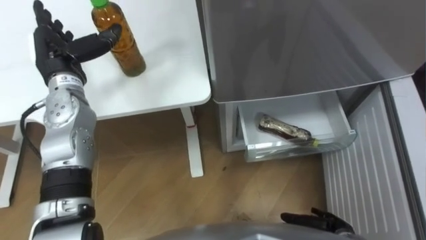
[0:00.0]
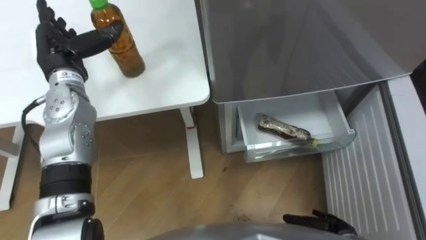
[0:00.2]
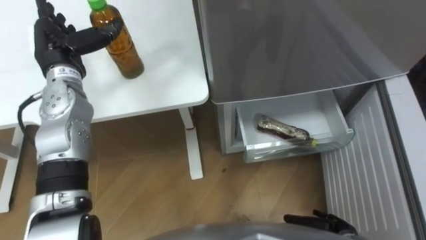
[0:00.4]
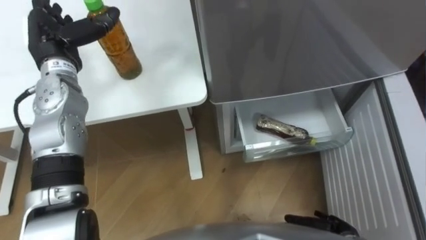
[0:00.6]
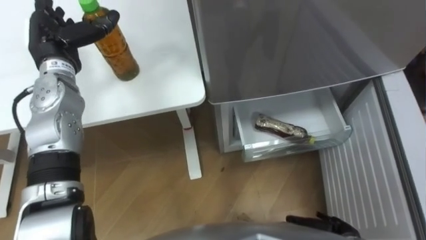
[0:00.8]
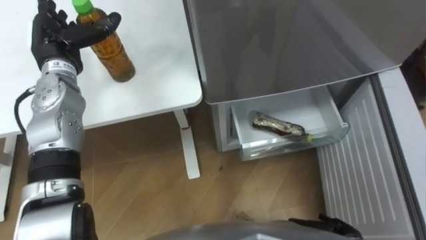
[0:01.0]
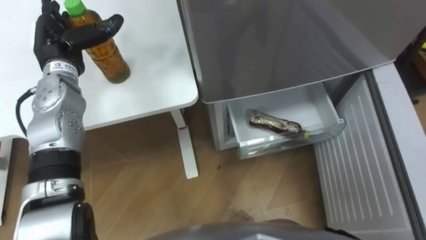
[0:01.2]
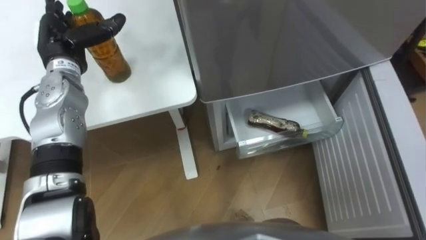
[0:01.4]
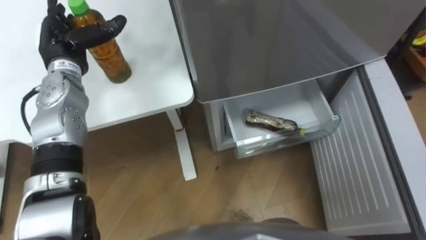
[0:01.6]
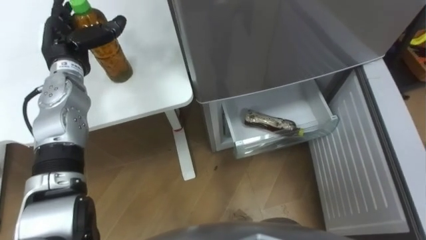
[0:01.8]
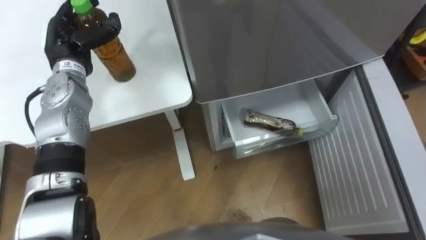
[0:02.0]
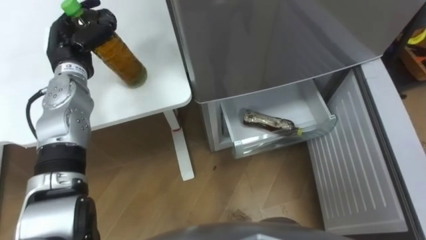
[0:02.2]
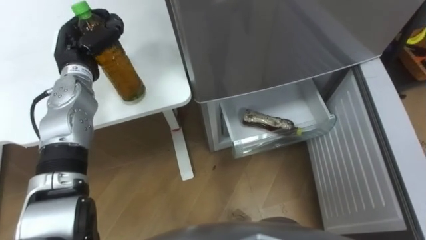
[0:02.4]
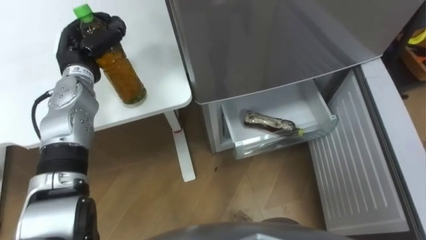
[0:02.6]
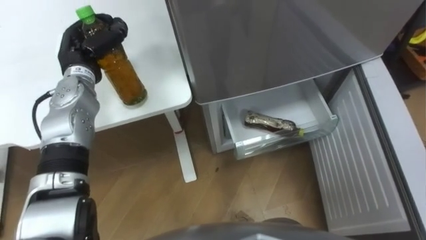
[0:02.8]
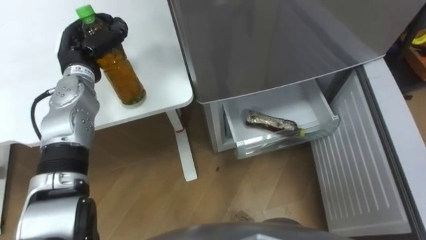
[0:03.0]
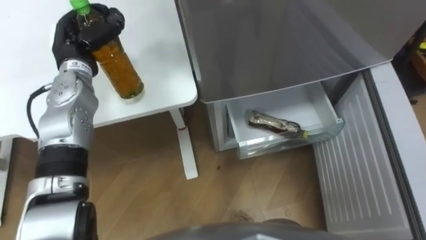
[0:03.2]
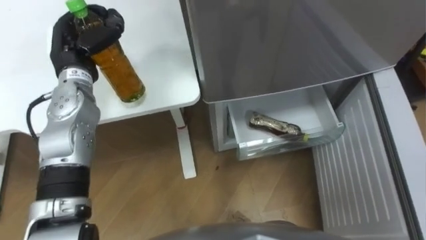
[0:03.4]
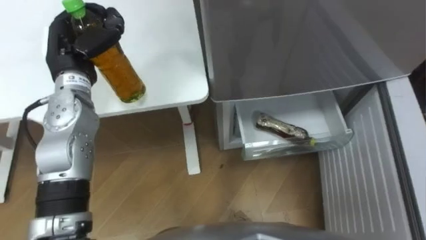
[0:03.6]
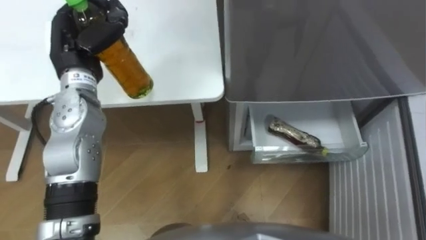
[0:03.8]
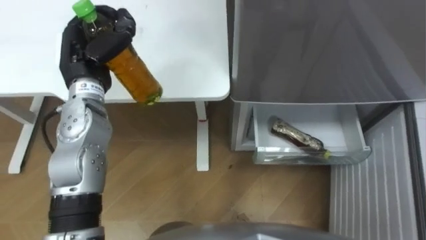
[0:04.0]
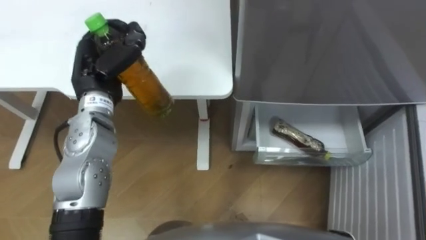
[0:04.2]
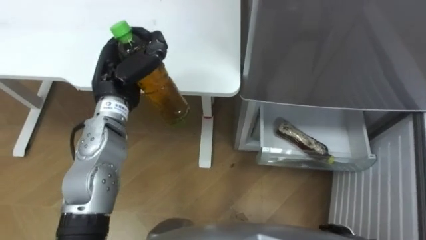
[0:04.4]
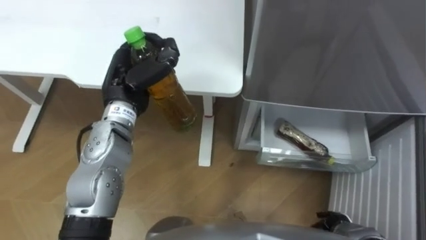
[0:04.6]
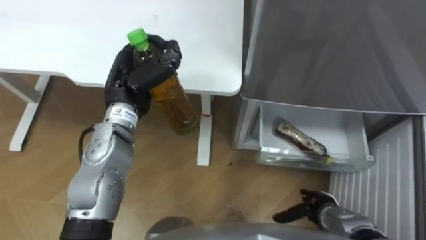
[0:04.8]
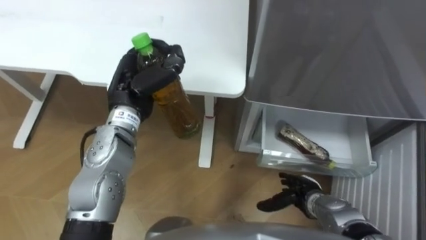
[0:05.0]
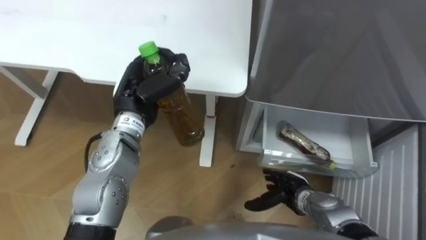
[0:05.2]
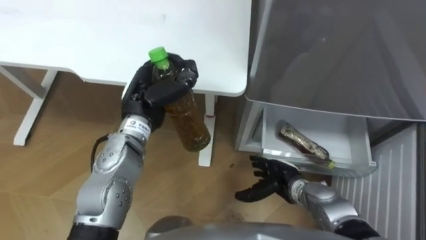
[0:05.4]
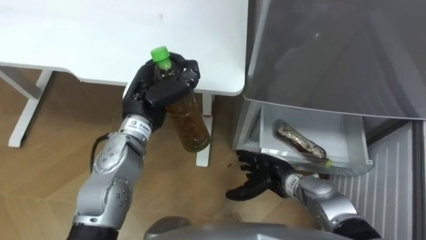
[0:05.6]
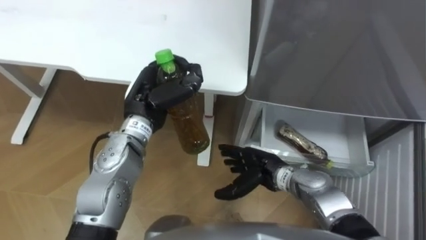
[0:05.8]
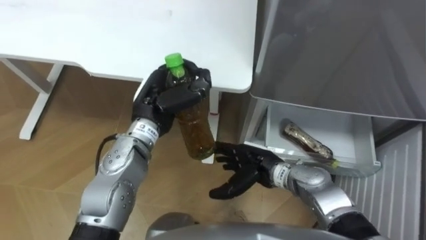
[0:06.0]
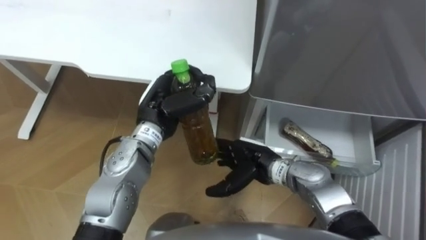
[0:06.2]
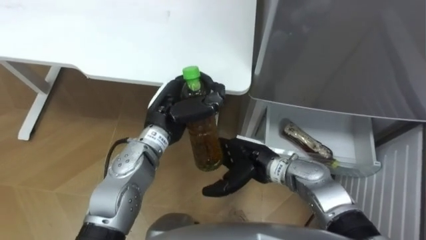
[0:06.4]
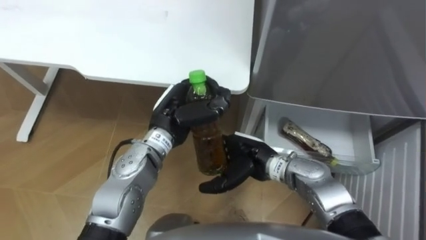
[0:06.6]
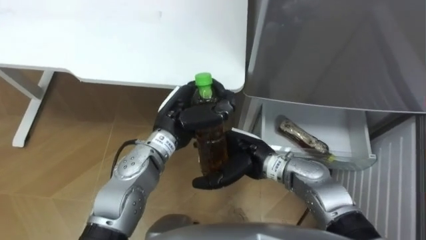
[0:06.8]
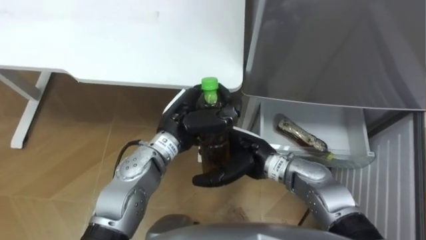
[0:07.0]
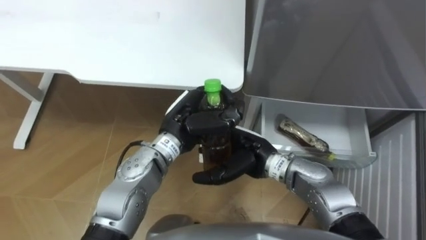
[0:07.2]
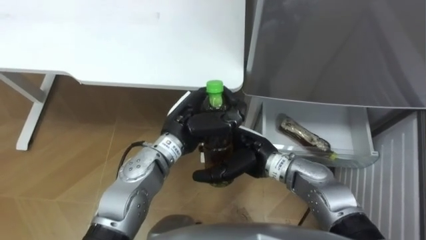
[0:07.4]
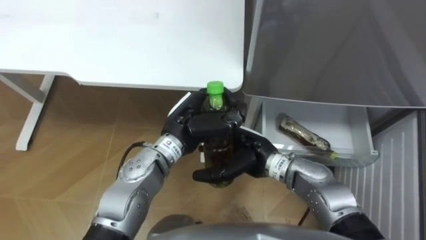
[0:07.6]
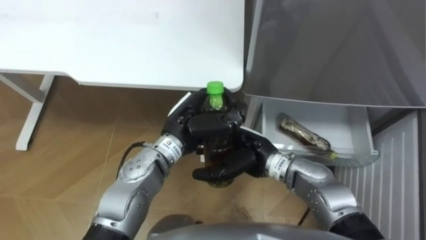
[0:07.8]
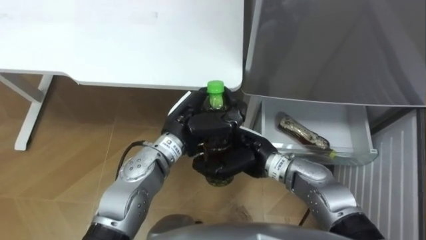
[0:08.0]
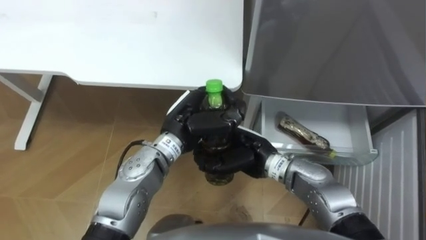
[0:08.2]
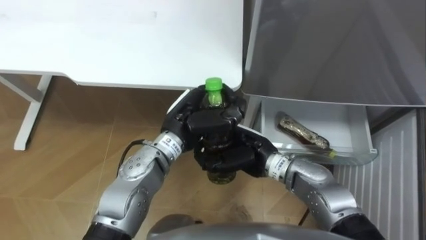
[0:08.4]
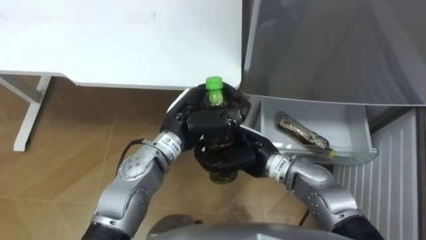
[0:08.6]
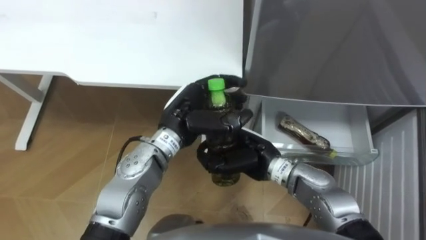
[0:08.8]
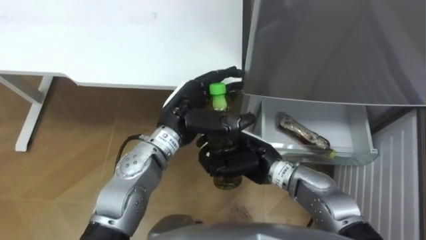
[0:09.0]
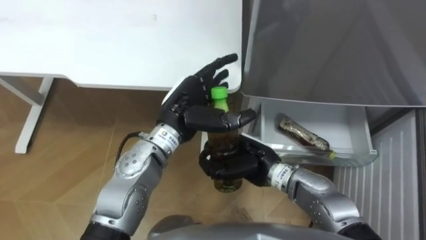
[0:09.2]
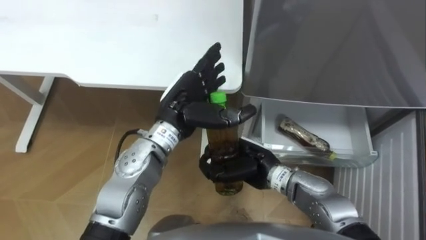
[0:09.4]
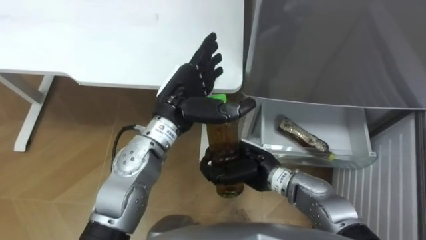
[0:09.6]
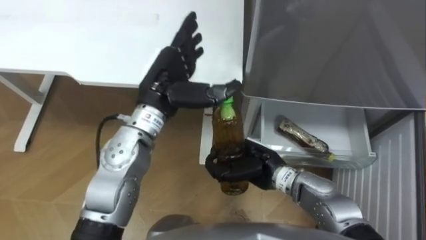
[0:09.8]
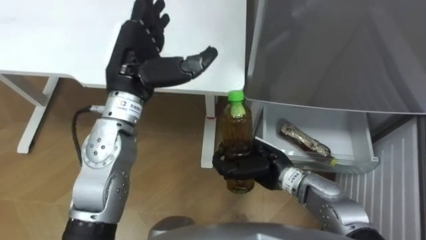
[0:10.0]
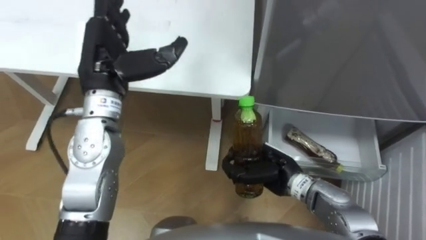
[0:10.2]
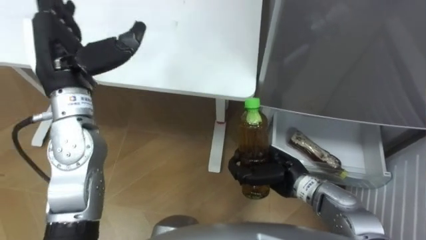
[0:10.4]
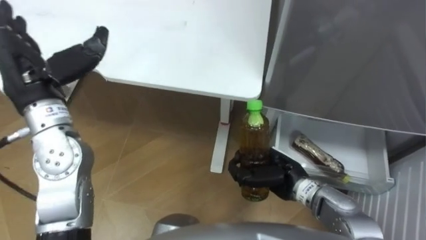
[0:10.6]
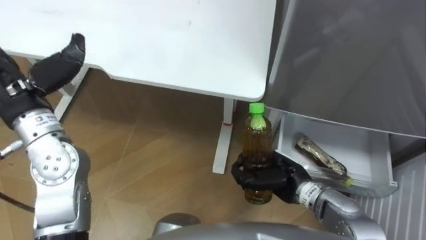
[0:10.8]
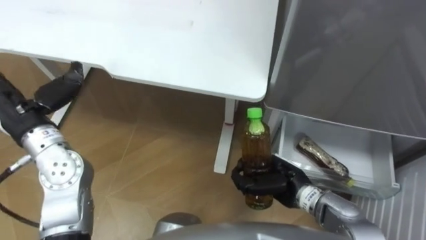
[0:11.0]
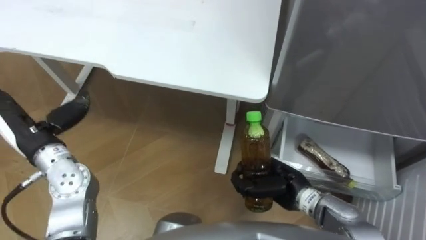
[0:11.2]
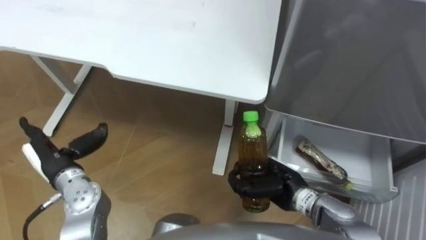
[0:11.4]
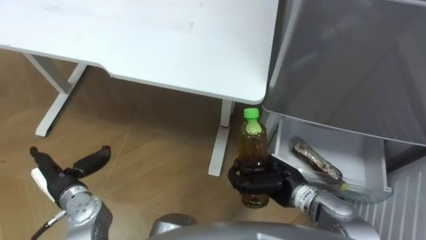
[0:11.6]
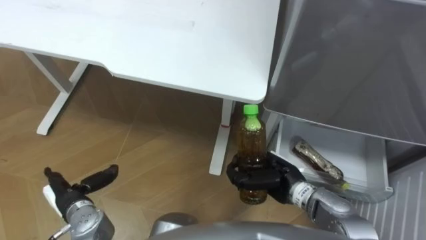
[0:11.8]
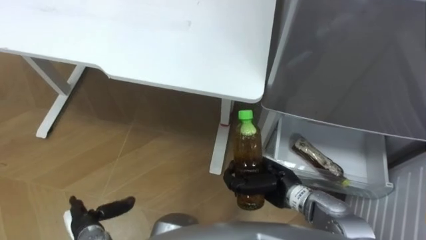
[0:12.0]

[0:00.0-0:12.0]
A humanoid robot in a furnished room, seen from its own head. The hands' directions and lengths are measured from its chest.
Task of the whole recording: Place the drink on the table on the bottom shelf of the refrigerator, then close the drawer and the refrigerator door.
0:01.6 to 0:03.0: The left hand closes.
0:03.0 to 0:04.4: The left hand goes roughly 10 cm to the right and backward.
0:04.4 to 0:06.0: The left hand heads to the right, covering some 5 cm. The right hand shifts approximately 25 cm to the left, forward and upward.
0:06.0 to 0:07.6: The left hand goes some 5 cm to the right. The right hand travels upward by roughly 5 cm.
0:07.6 to 0:09.0: The right hand closes, while the left hand opens up.
0:09.0 to 0:10.4: The right hand travels to the right by roughly 5 cm. The left hand goes about 20 cm to the left and upward.
0:10.4 to 0:12.0: The left hand shifts about 35 cm downward and backward.

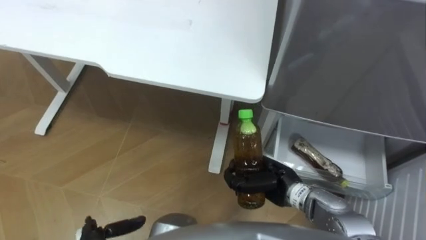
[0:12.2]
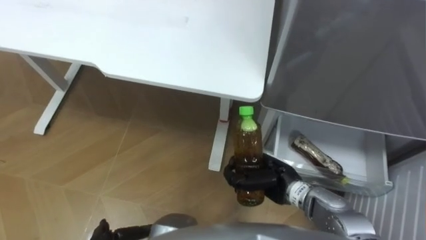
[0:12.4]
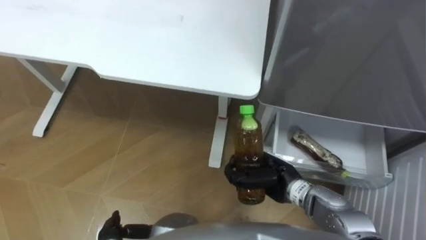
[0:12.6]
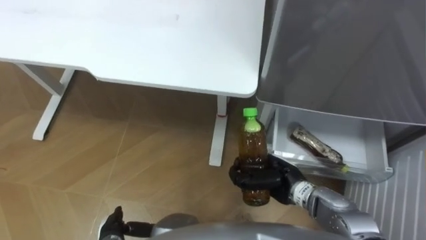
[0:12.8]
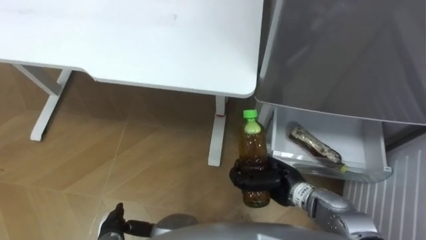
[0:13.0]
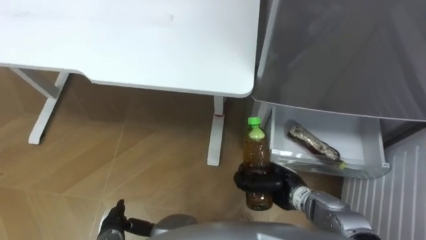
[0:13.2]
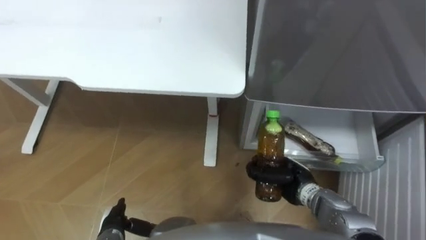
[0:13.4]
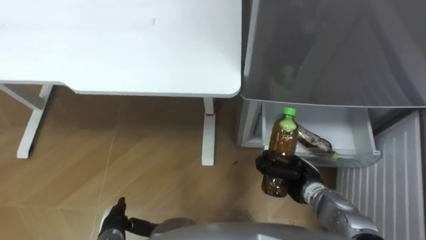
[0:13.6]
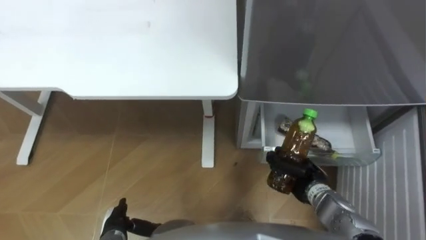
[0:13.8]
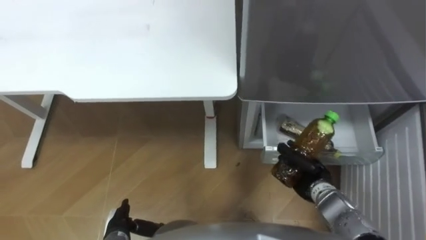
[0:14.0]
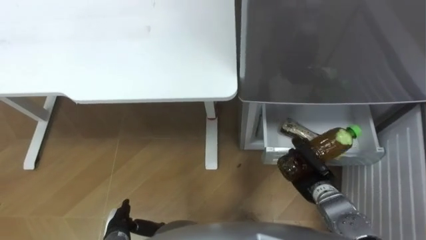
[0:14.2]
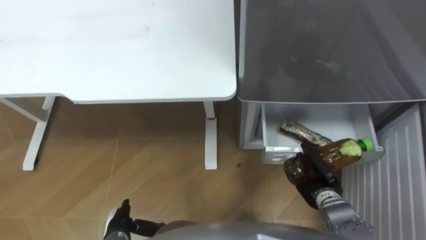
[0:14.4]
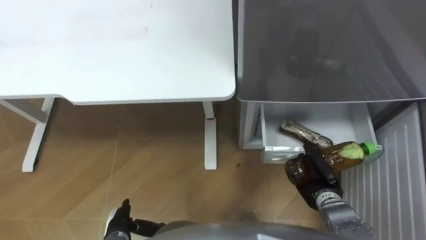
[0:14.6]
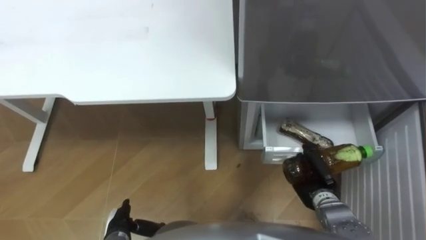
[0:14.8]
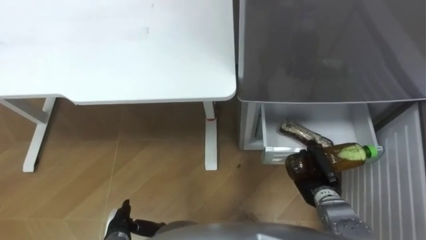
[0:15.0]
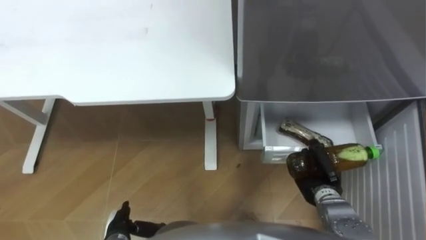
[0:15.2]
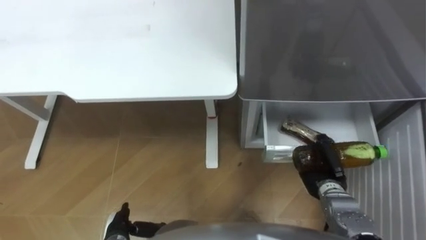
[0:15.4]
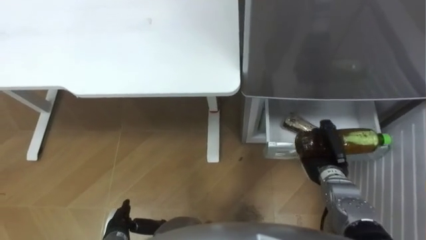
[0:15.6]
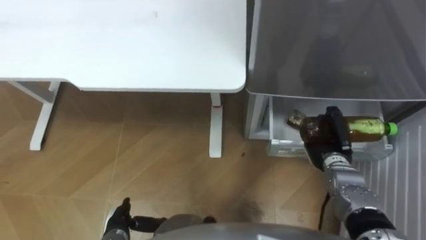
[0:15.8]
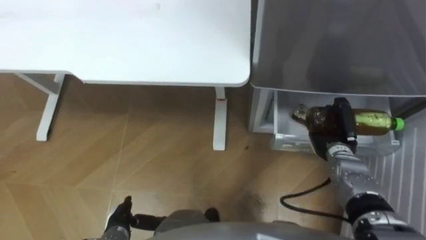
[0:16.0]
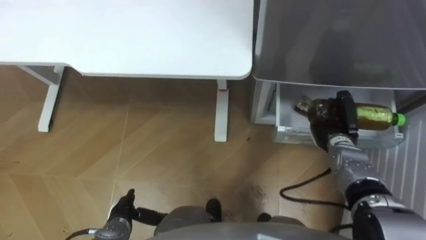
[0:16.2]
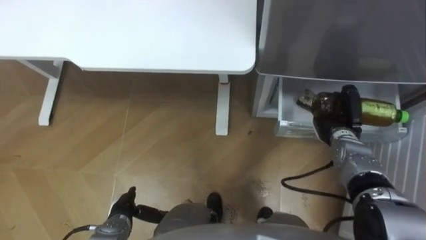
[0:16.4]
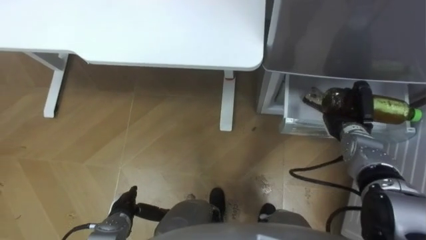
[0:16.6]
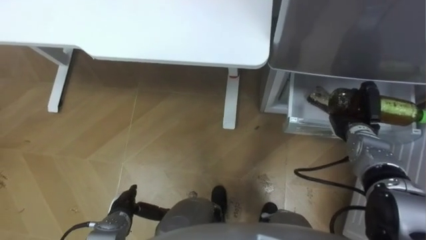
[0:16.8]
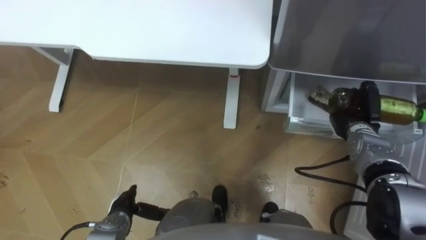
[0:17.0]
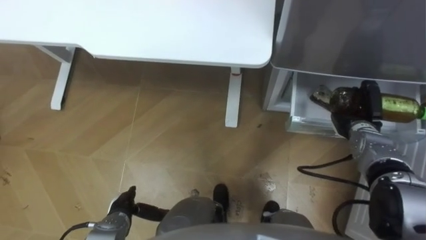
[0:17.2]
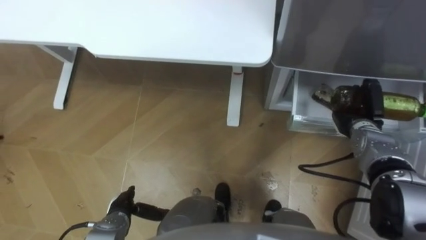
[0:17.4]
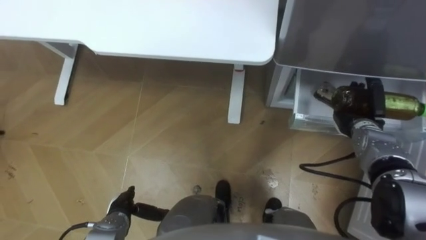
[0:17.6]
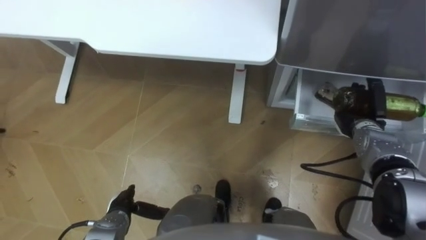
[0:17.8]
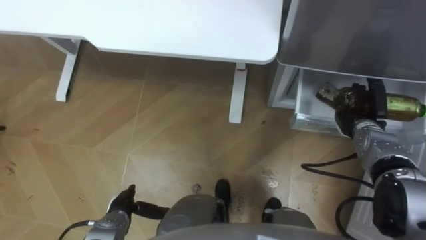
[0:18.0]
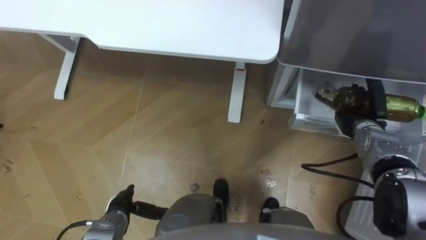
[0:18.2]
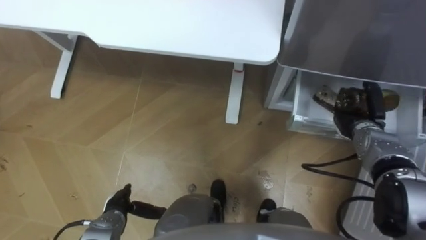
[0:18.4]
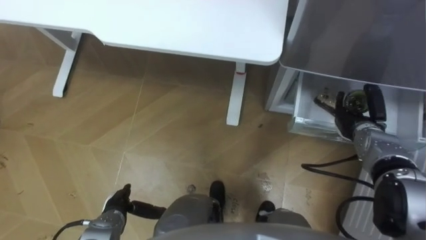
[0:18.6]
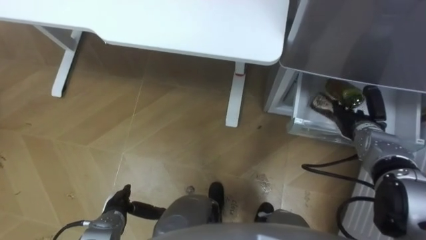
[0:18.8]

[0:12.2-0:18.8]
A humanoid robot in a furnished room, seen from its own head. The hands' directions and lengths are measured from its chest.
Task of the whole recording: Place the drink on the table on the bottom shelf of the refrigerator, then close the drawer and the refrigerator door.
0:12.2 to 0:13.8: The right hand moves to the right, roughly 10 cm.
0:15.4 to 0:17.2: The right hand is displaced forward, to the right and upward by about 15 cm.
0:17.2 to 0:18.8: The right hand opens up.
